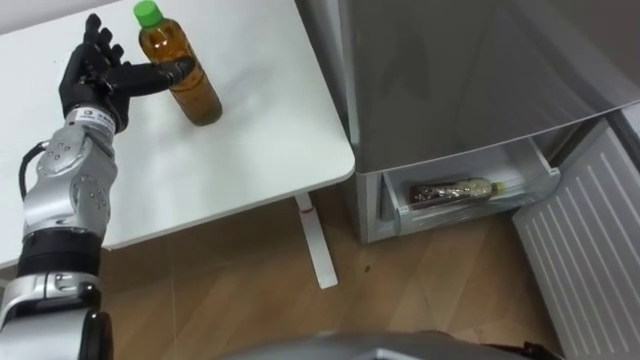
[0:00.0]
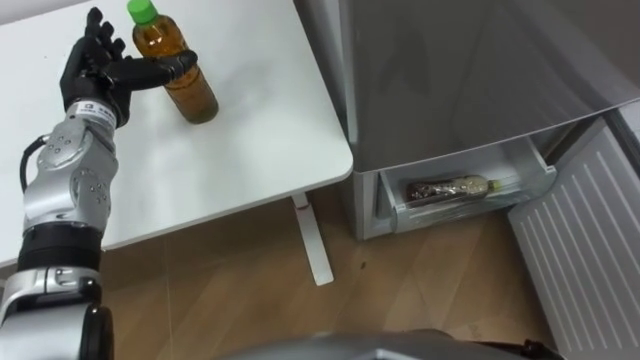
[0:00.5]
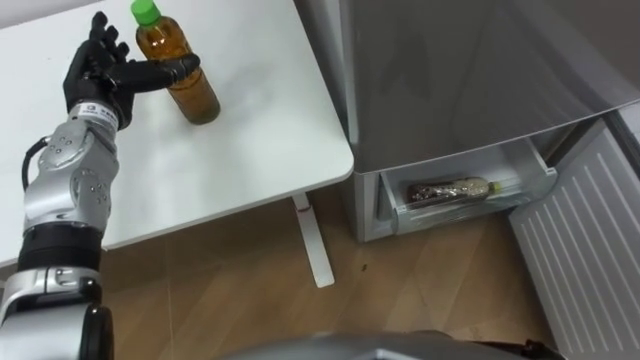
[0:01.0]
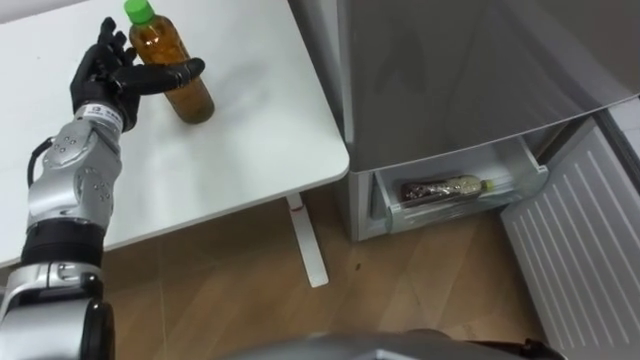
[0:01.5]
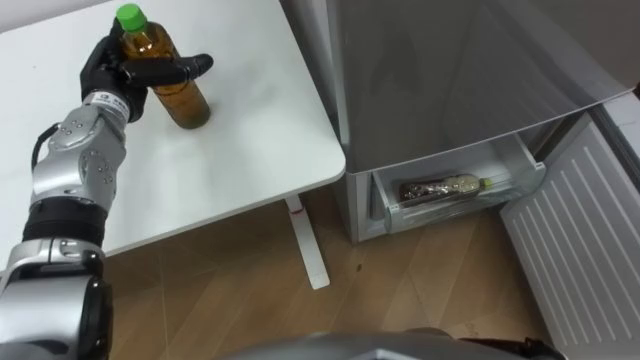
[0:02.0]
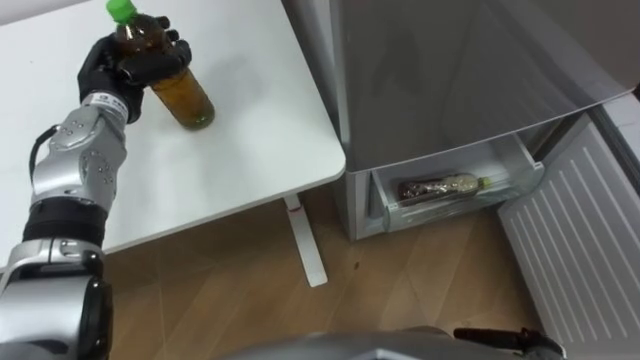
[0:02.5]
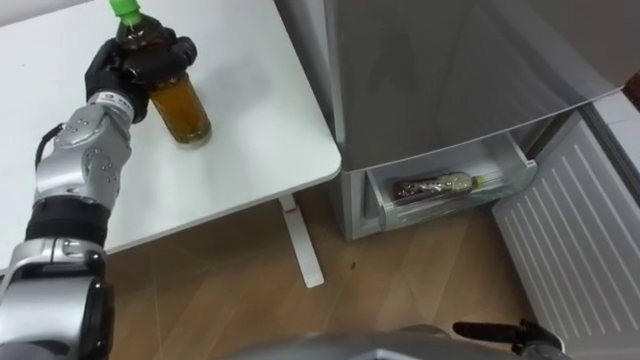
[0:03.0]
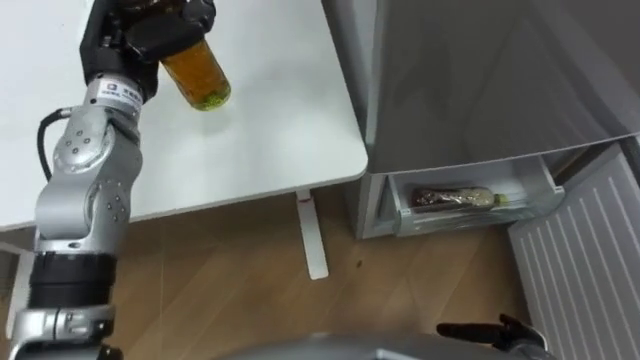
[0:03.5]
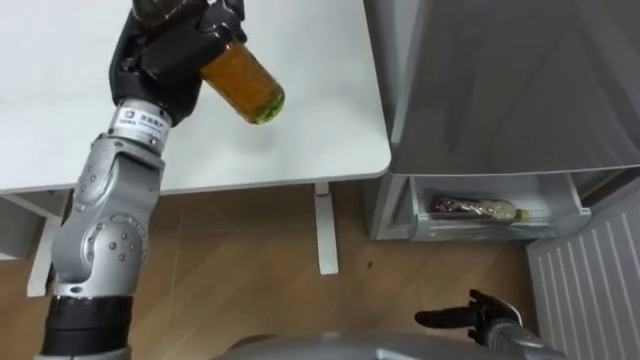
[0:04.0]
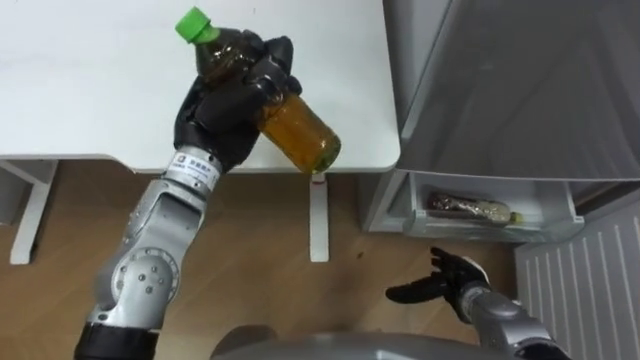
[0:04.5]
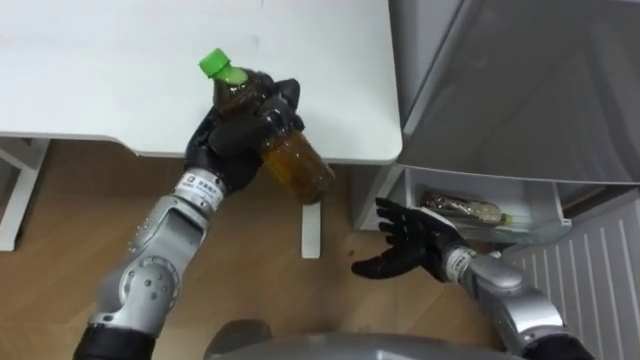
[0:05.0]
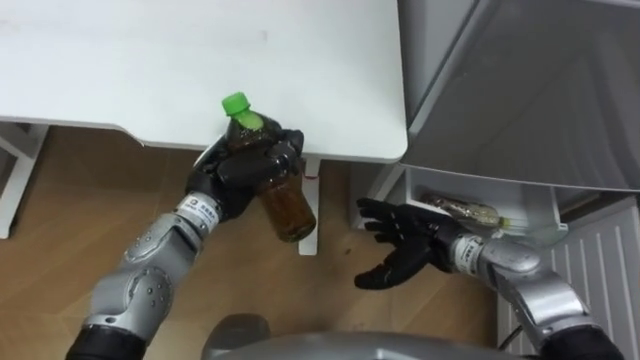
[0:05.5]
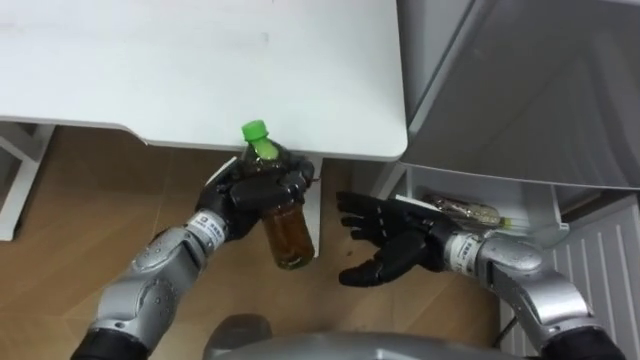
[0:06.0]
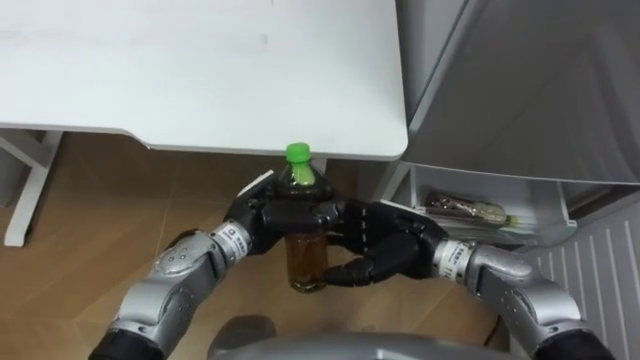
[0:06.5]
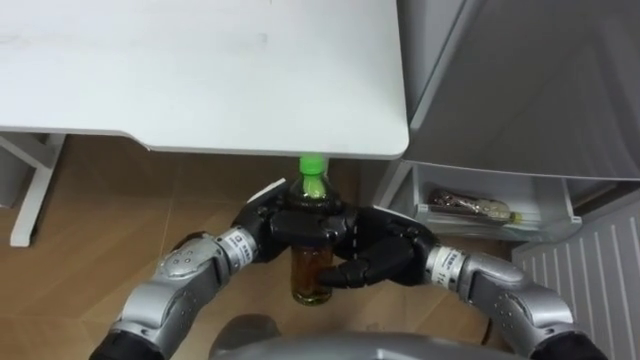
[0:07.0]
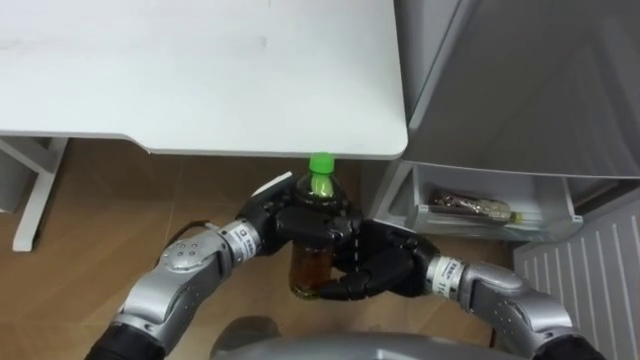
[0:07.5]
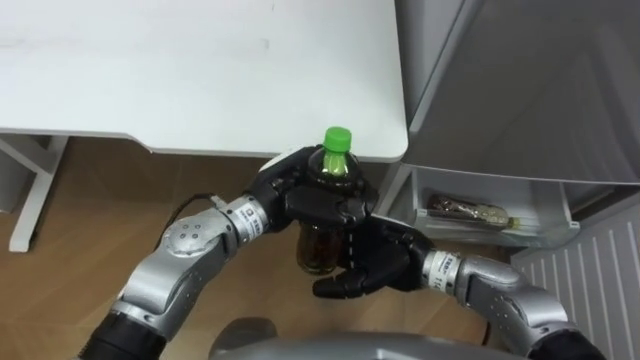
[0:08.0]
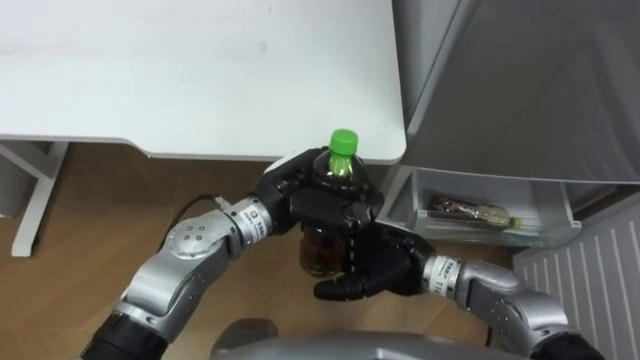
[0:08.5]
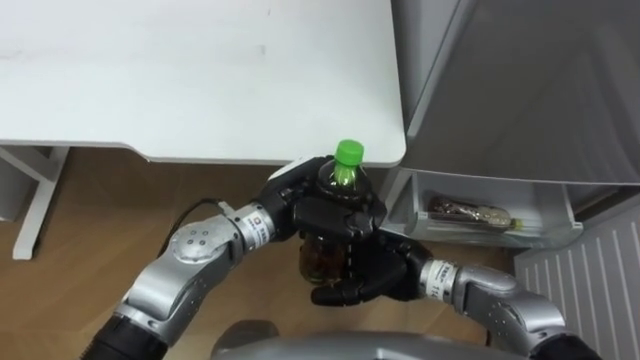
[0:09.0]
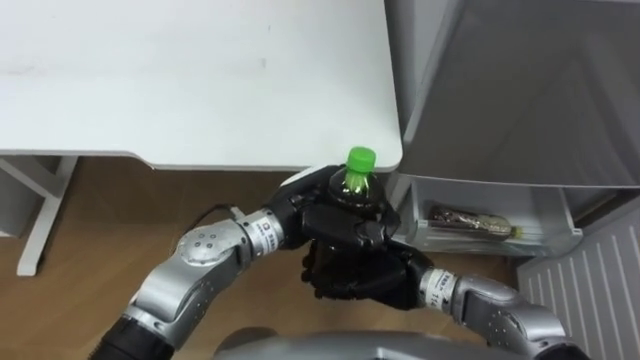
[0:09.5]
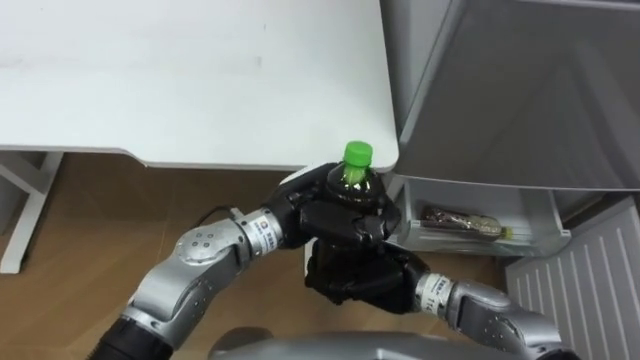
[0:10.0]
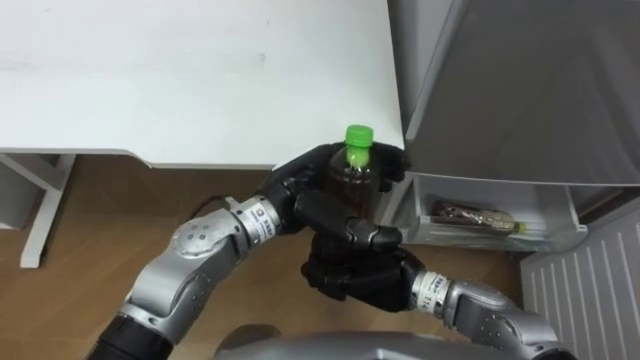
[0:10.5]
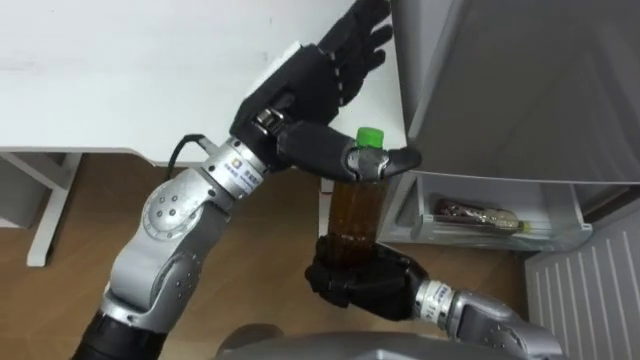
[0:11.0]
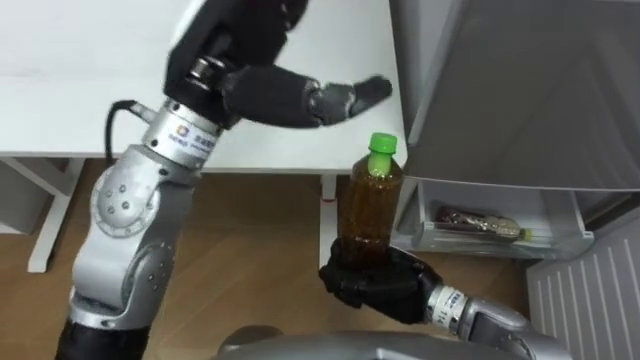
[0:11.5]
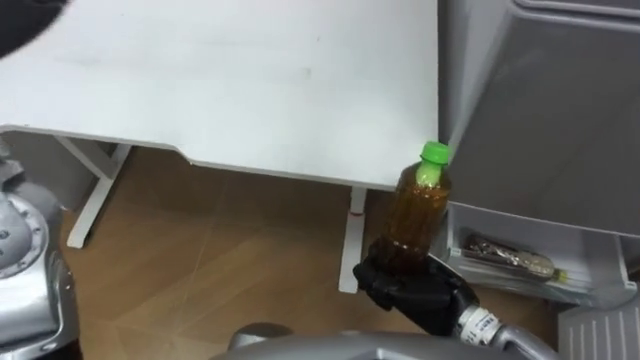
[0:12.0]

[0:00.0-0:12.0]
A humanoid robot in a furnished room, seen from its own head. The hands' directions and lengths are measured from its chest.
Task of the whole recording: Place the drink on the table on the bottom shelf of the refrigerator, then close the drawer and the refrigerator door.
0:02.0 to 0:04.0: The left hand goes approximately 15 cm upward, to the right and backward, and closes its fingers.
0:04.0 to 0:06.0: The left hand moves downward and backward, about 20 cm, while the right hand shifts roughly 20 cm upward, to the left and forward.
0:06.0 to 0:08.0: The left hand moves to the right, some 5 cm; the right hand shifts by approximately 5 cm.
0:08.0 to 0:10.0: The right hand closes its fingers.
0:10.0 to 0:12.0: The right hand goes about 5 cm to the right.

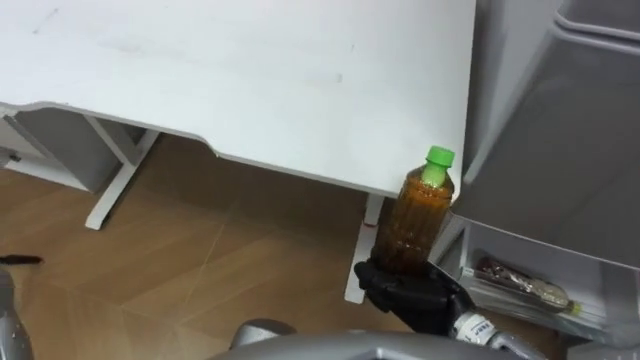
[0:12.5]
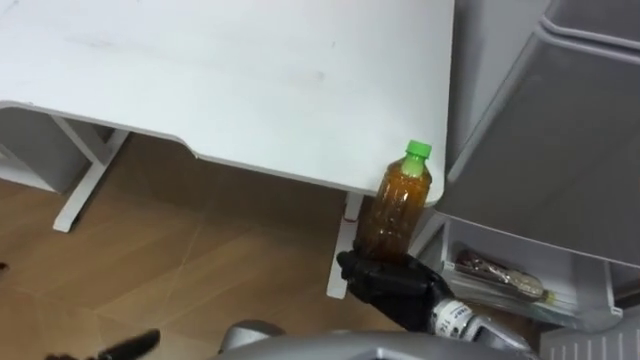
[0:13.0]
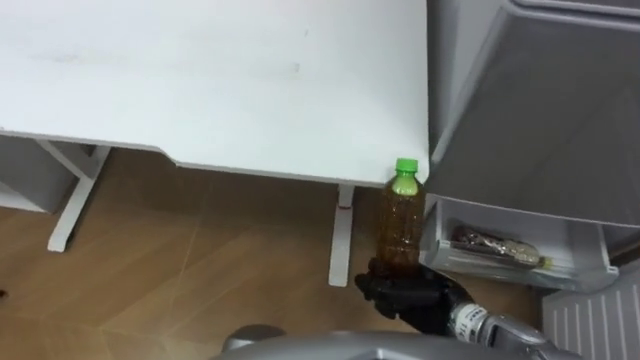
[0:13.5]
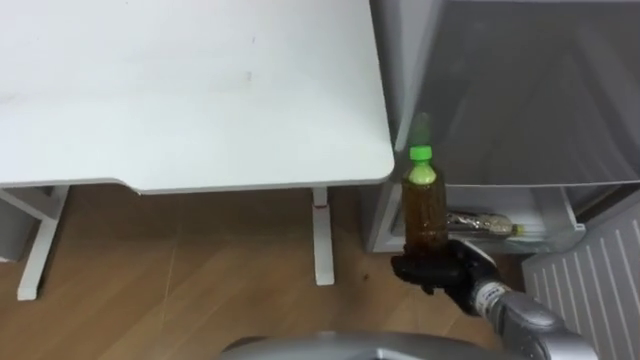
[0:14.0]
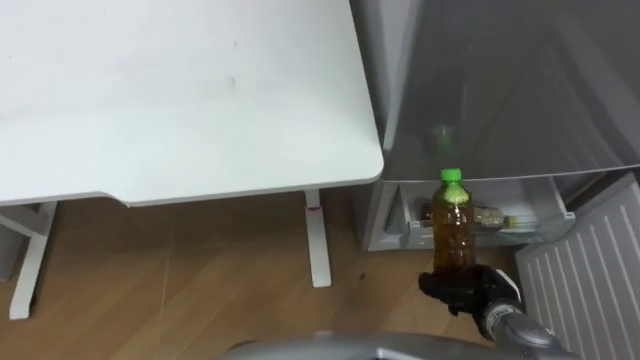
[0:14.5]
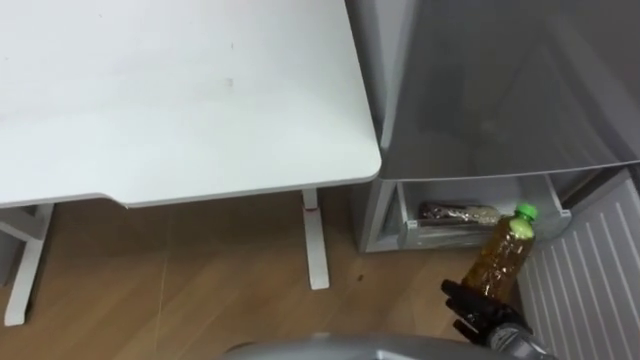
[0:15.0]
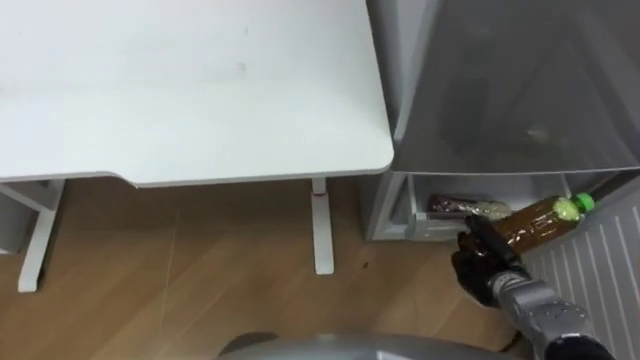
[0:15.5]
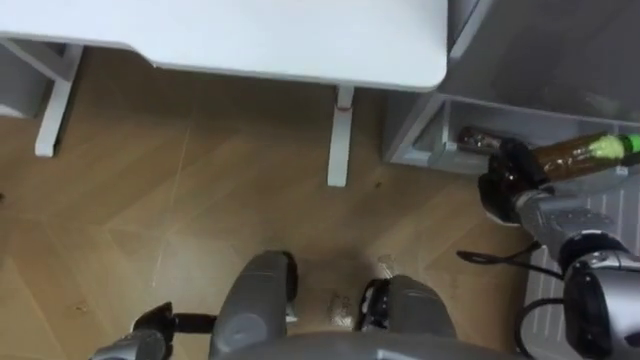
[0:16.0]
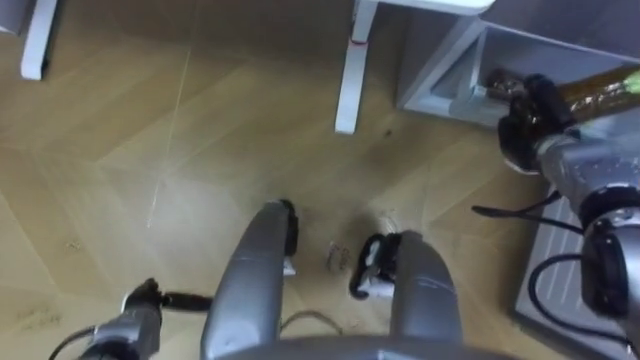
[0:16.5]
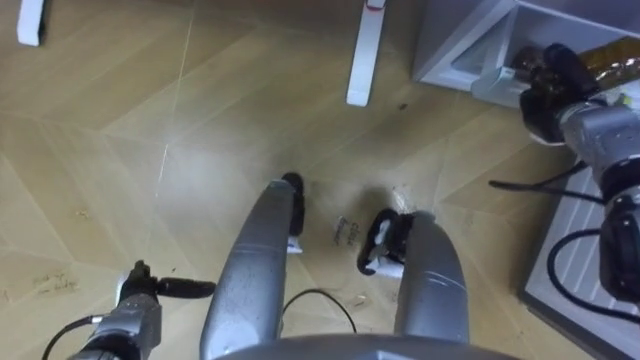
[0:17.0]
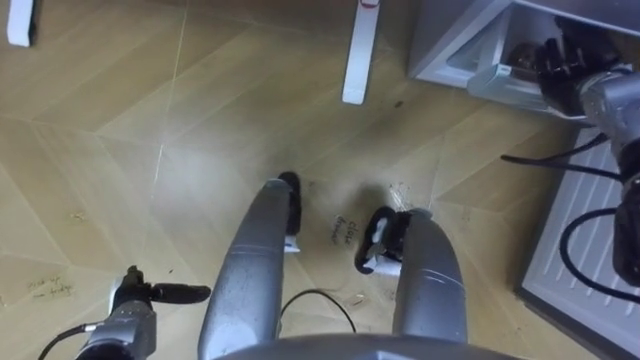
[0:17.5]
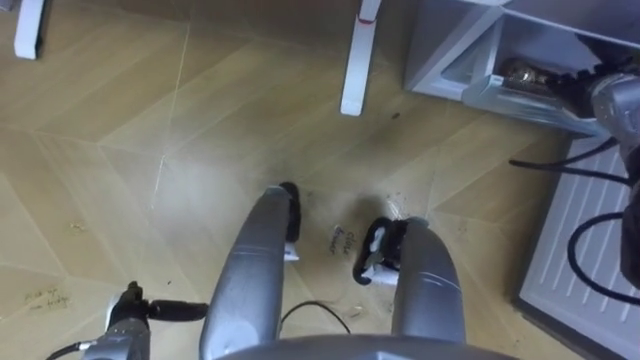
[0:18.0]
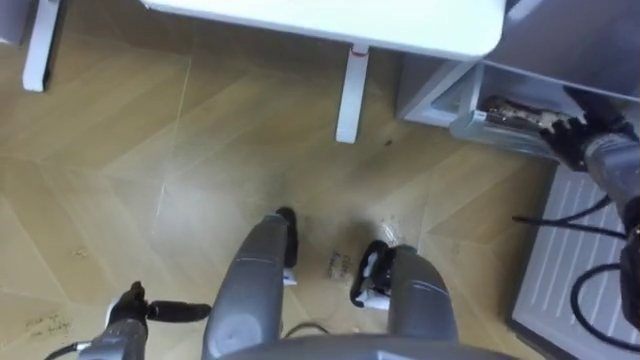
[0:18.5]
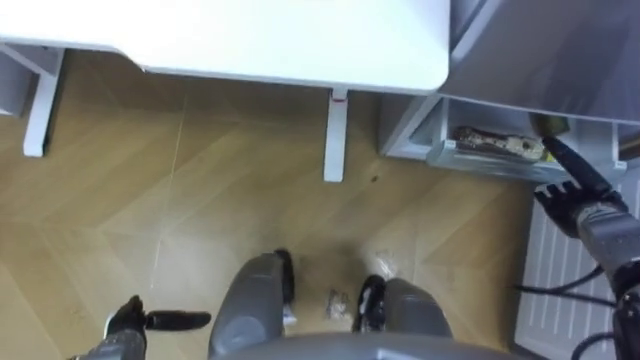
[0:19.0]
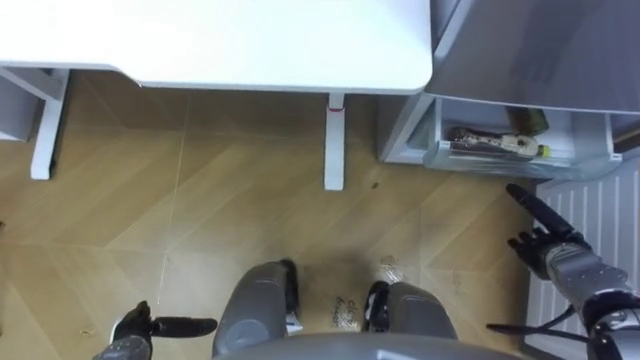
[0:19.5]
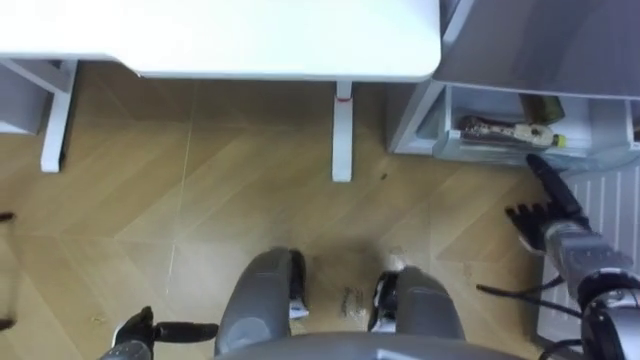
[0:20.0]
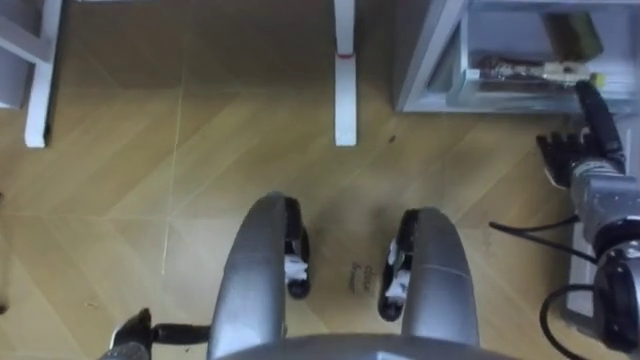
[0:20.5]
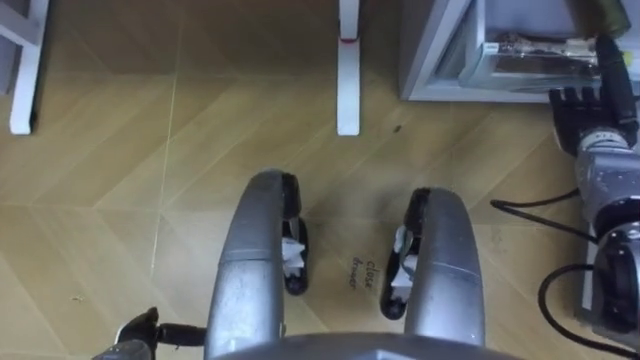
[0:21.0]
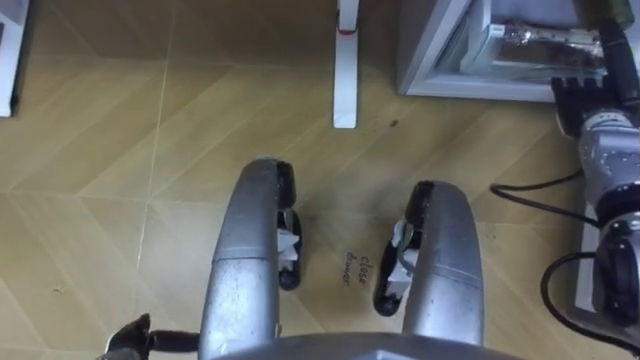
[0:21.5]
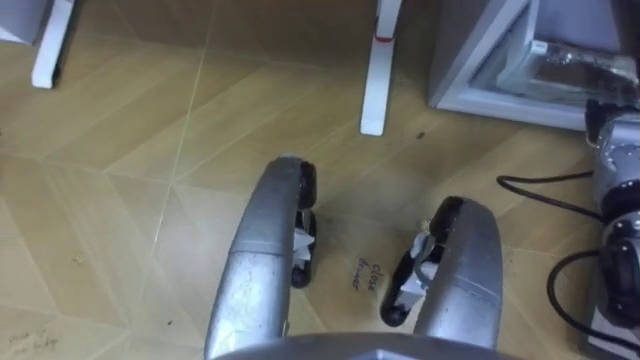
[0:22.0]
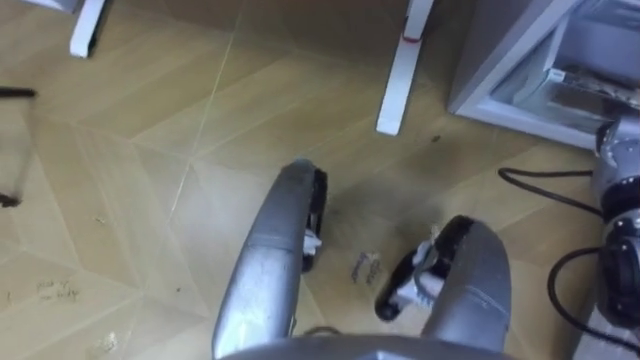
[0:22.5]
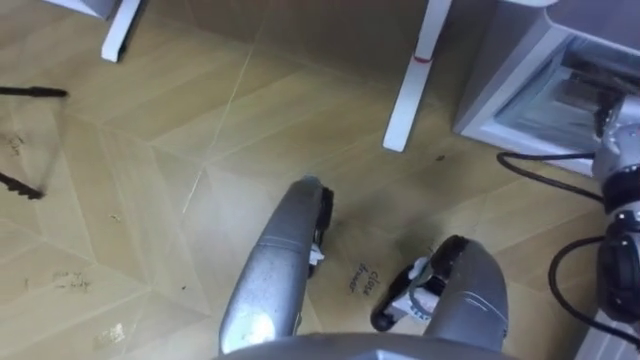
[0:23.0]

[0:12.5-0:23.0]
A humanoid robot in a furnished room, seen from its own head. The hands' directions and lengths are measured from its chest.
Task of the whole recording: Place the drink on the table on the bottom shelf of the refrigerator, then close the drawer and the refrigerator door.
0:12.5 to 0:14.5: The right hand travels to the right and downward by about 10 cm.
0:14.5 to 0:16.5: The right hand moves forward and upward, some 20 cm.
0:16.5 to 0:19.0: The right hand heads backward and to the right, covering some 10 cm, and opens its fingers.
0:19.0 to 0:21.0: The right hand shifts some 10 cm forward and upward.
